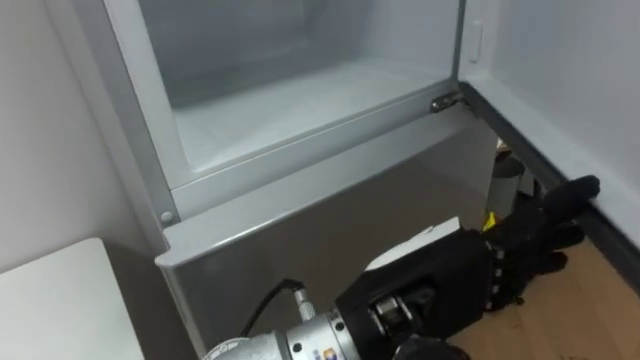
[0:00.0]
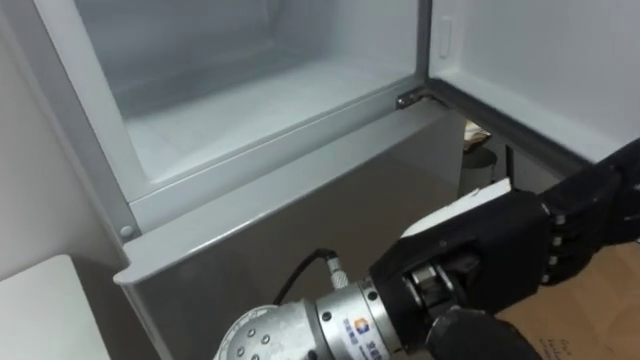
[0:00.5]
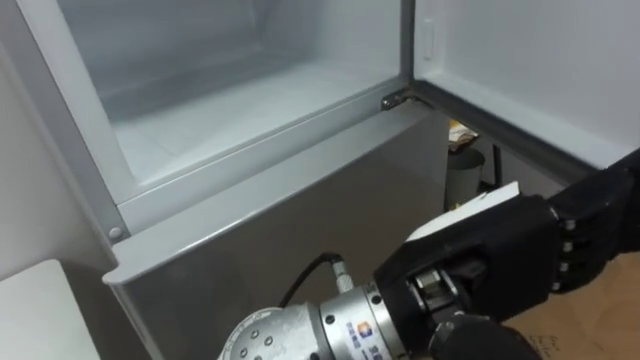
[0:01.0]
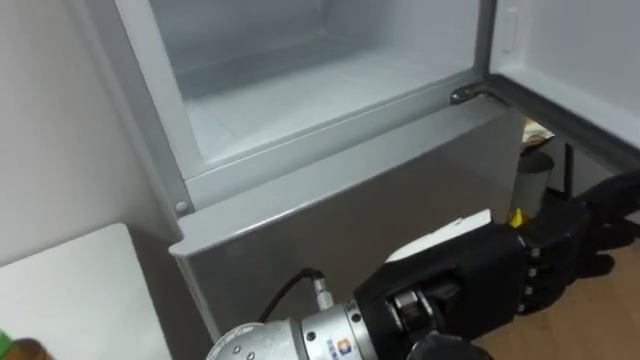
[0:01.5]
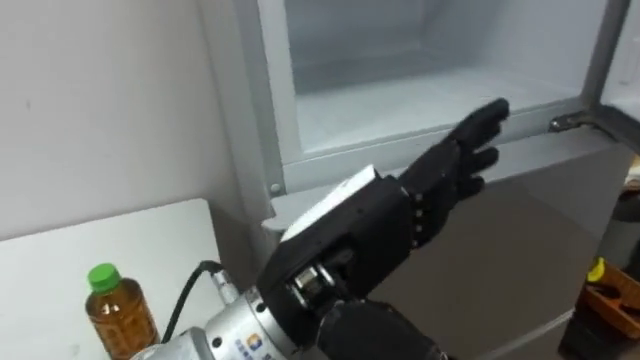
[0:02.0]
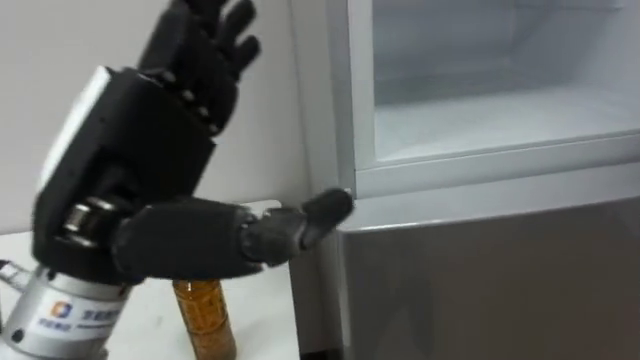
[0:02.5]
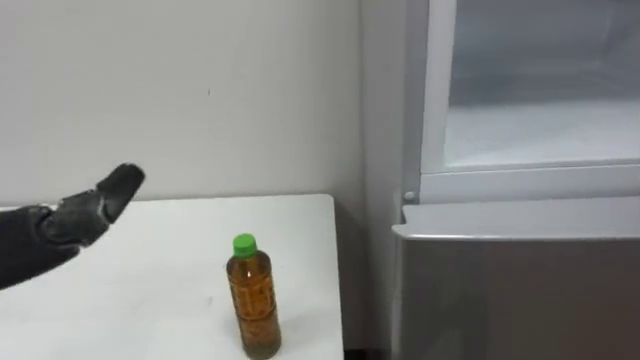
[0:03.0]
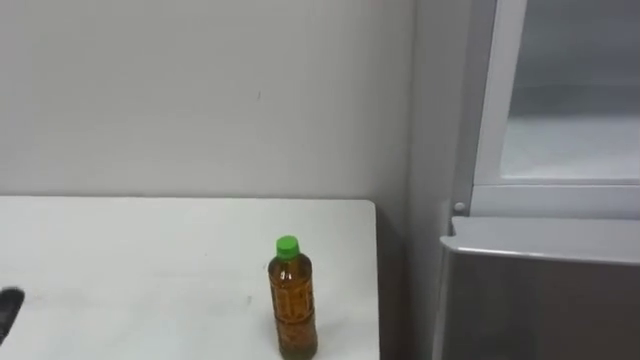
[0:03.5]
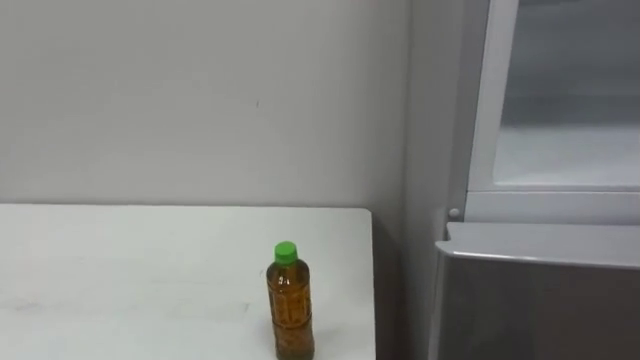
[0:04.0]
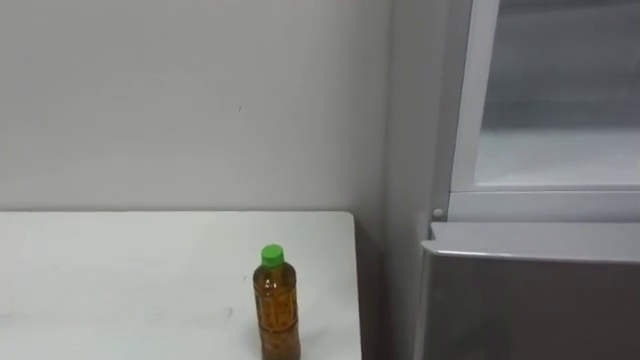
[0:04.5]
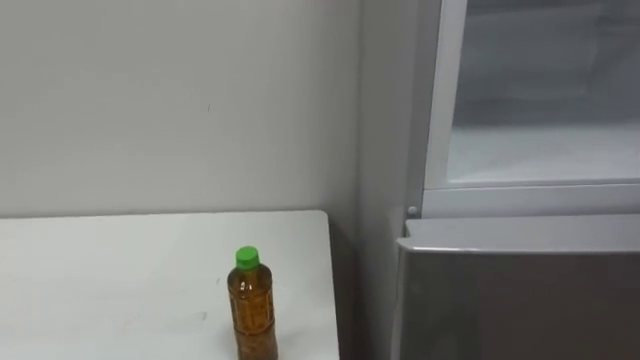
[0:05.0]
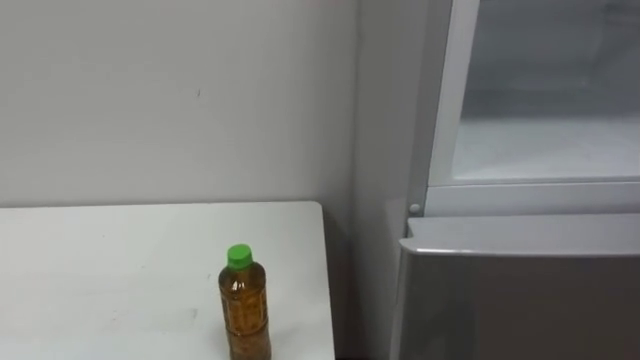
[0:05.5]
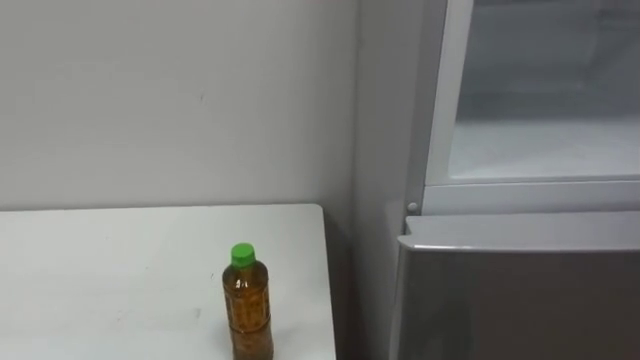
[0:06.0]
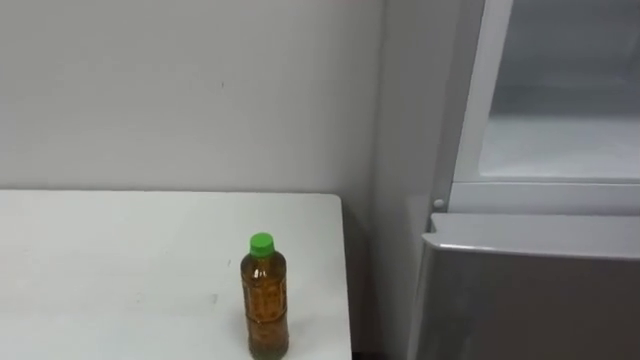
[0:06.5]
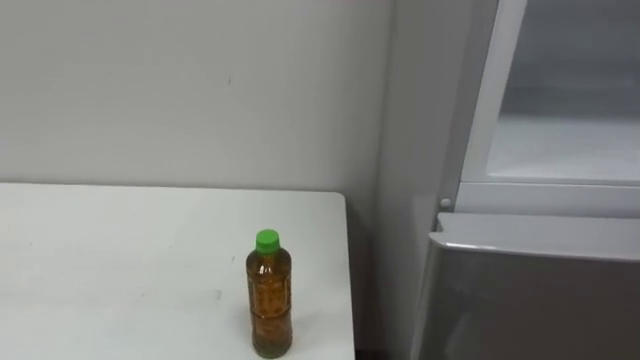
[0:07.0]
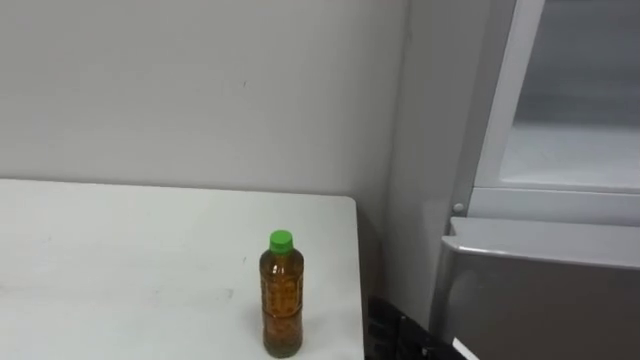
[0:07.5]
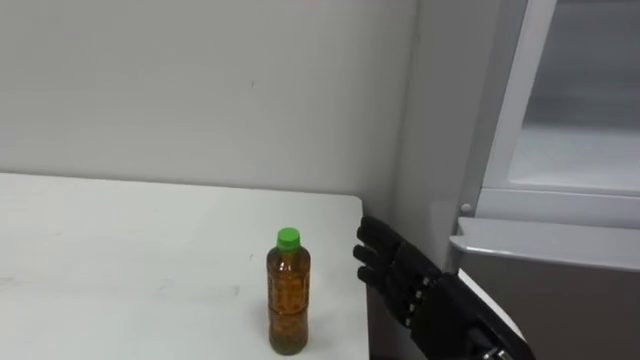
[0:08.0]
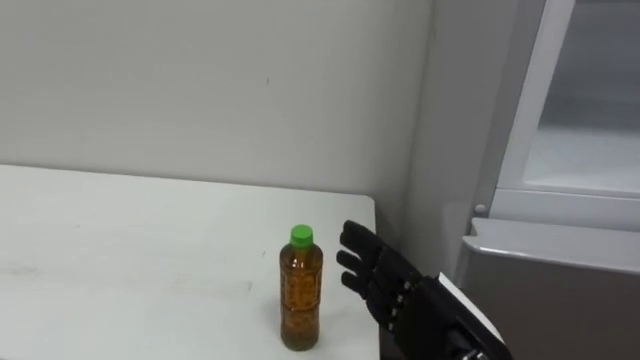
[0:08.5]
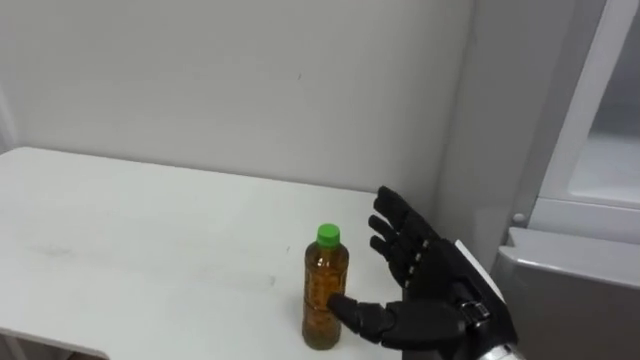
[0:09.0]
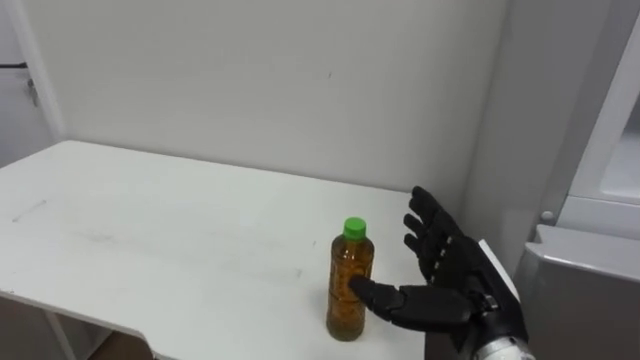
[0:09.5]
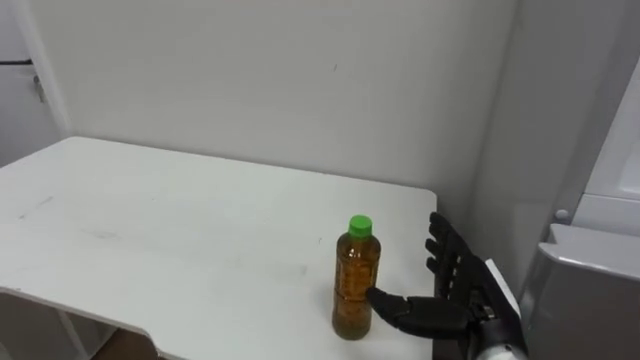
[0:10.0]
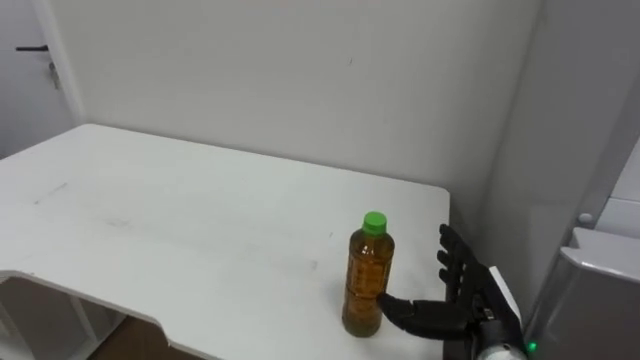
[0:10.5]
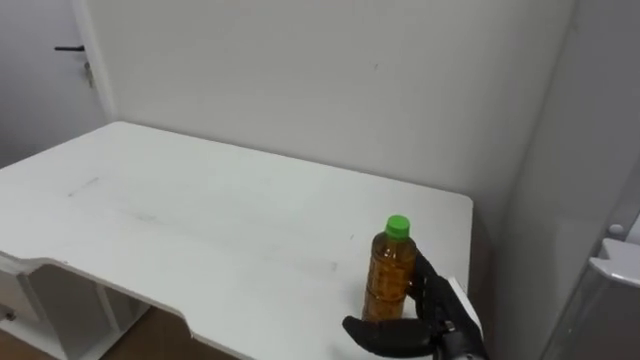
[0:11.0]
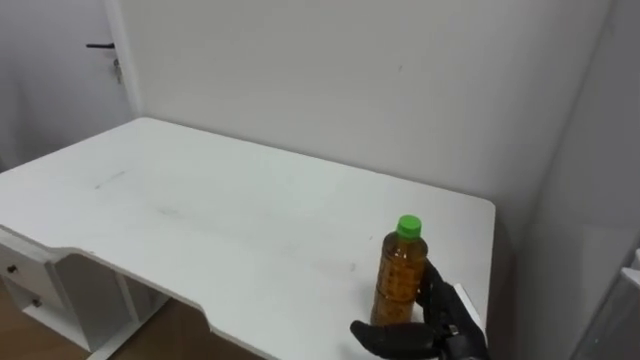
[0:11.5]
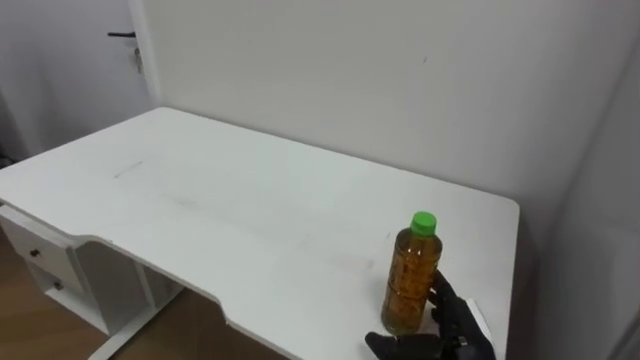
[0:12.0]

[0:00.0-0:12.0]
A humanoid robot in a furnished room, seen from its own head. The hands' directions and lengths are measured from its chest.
Task of the whole recording: Open the upper refrigerator door, put the drink from the table into the refrigerator, and then close the refrigerator door.
0:00.0 to 0:02.0: The left hand travels to the left by some 5 cm.
0:08.0 to 0:10.0: The right hand shifts about 5 cm forward.
0:10.0 to 0:12.0: The right hand travels downward by approximately 10 cm.

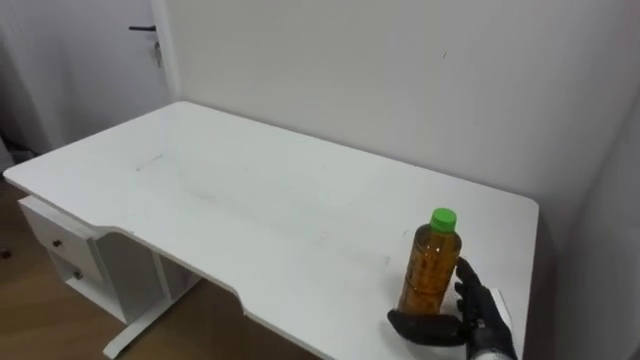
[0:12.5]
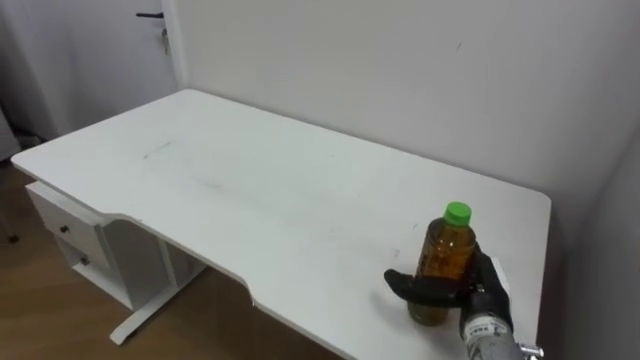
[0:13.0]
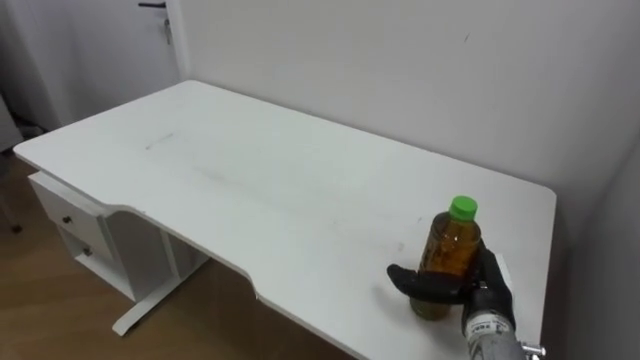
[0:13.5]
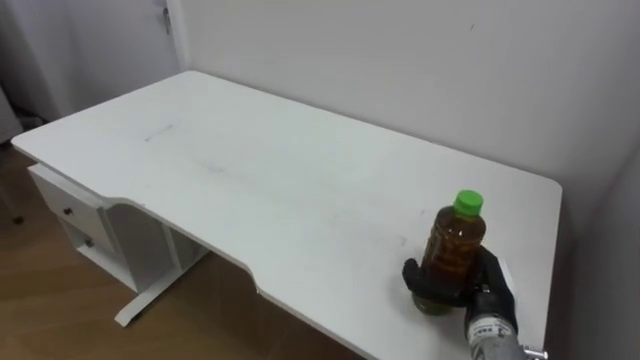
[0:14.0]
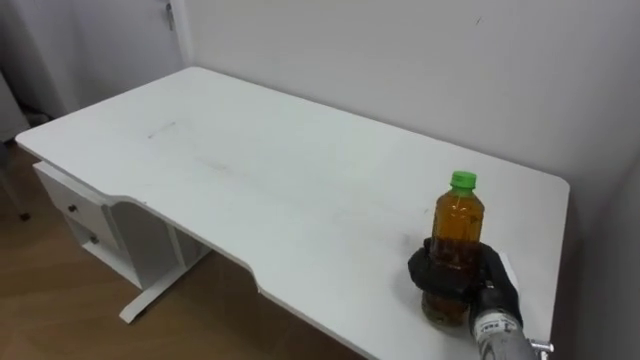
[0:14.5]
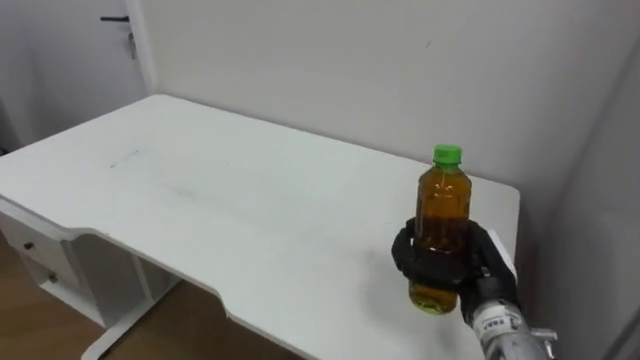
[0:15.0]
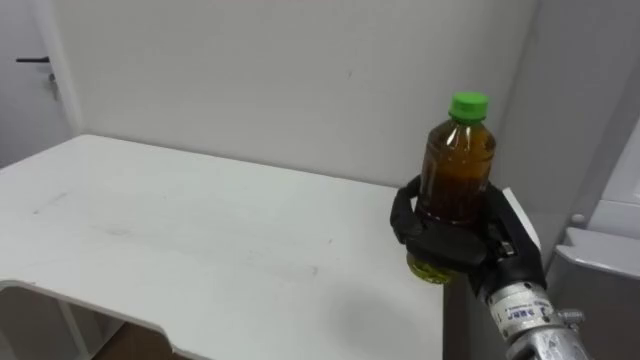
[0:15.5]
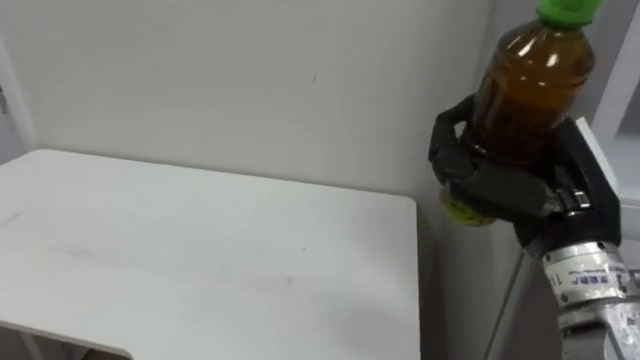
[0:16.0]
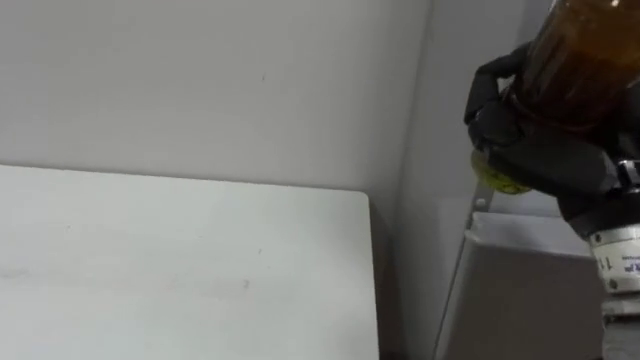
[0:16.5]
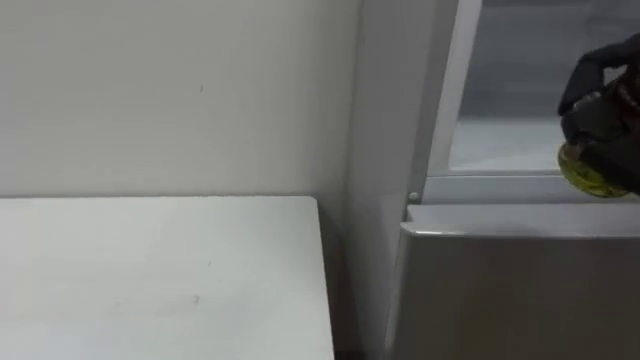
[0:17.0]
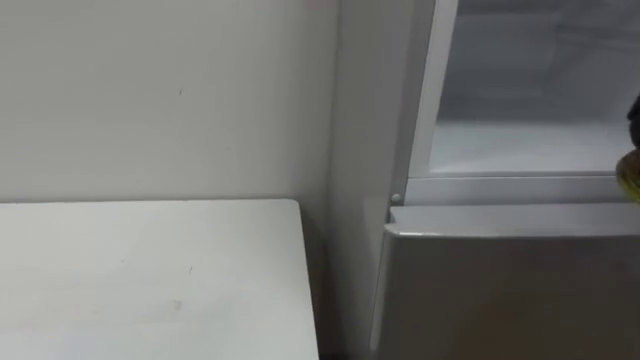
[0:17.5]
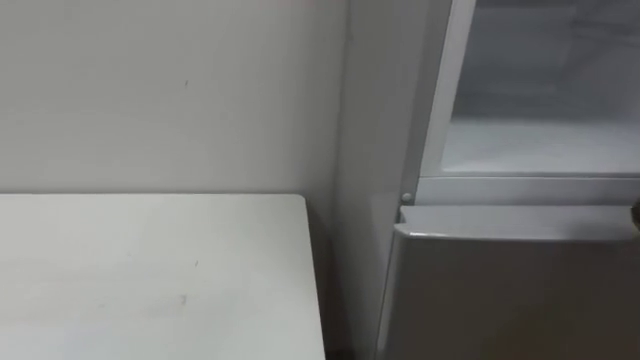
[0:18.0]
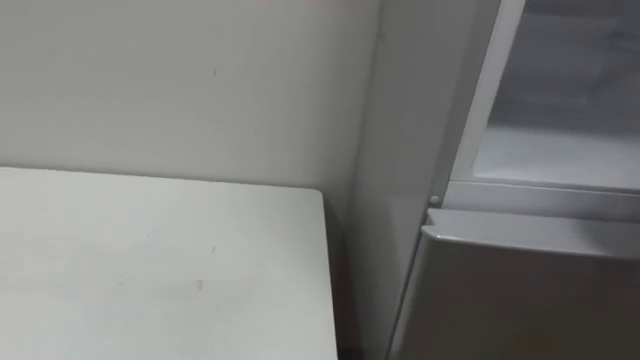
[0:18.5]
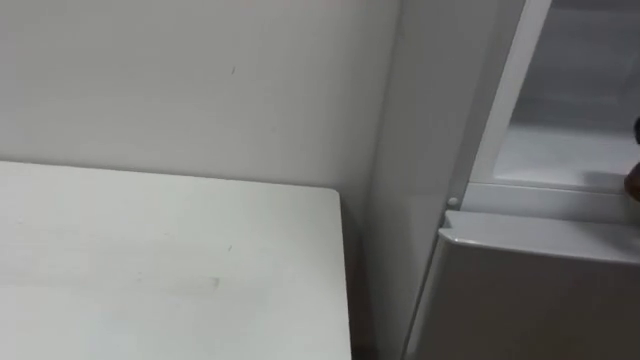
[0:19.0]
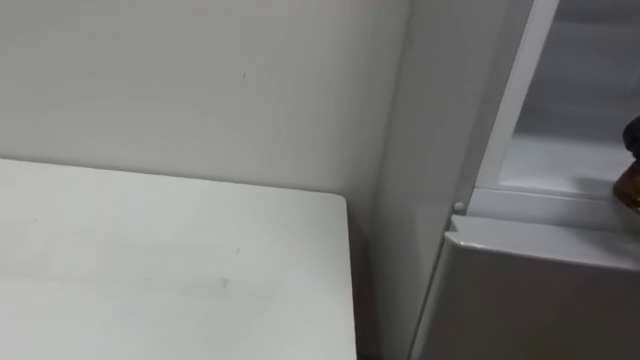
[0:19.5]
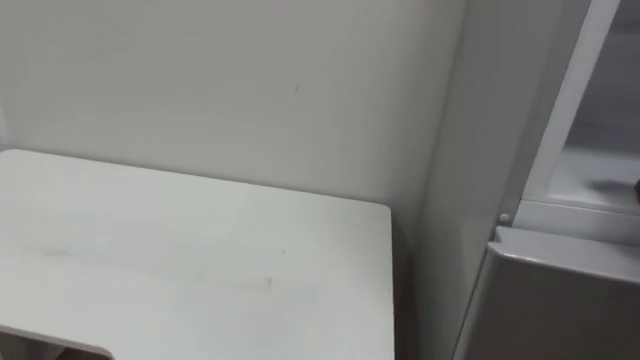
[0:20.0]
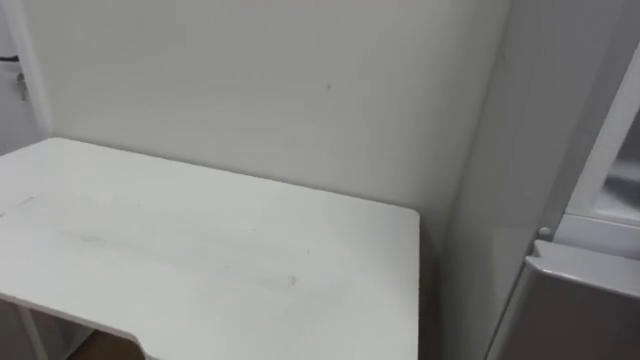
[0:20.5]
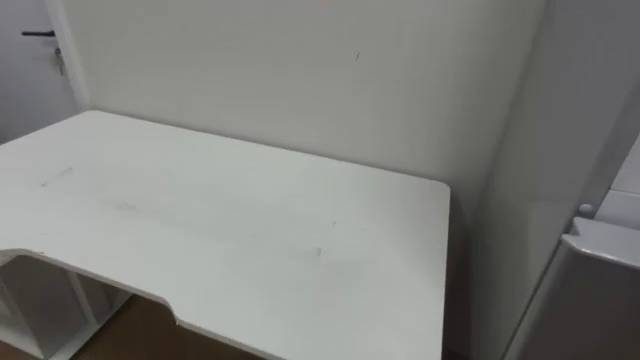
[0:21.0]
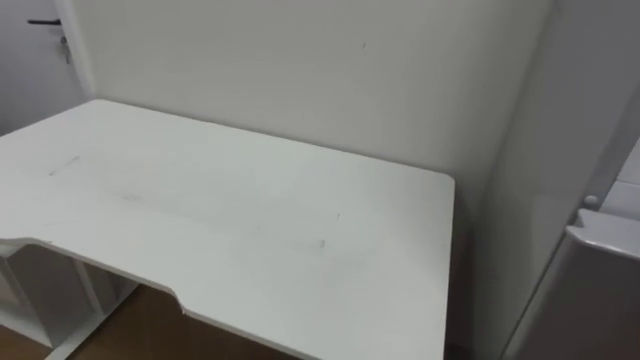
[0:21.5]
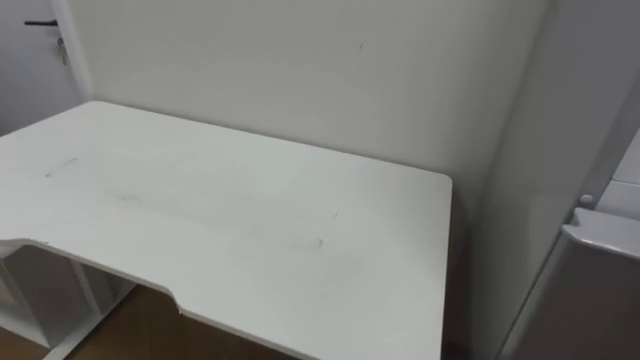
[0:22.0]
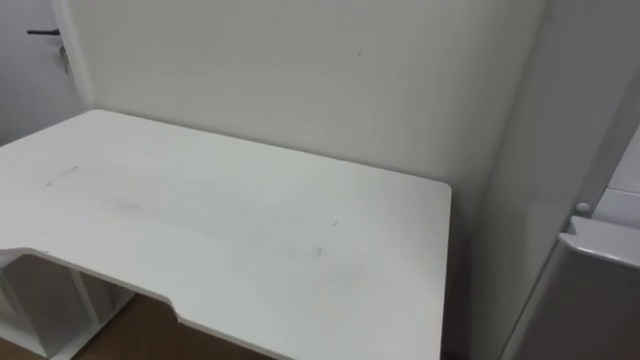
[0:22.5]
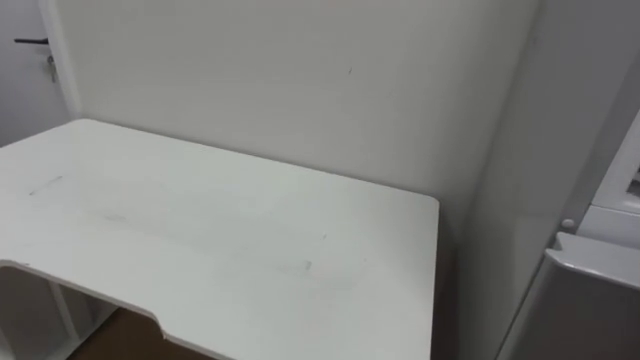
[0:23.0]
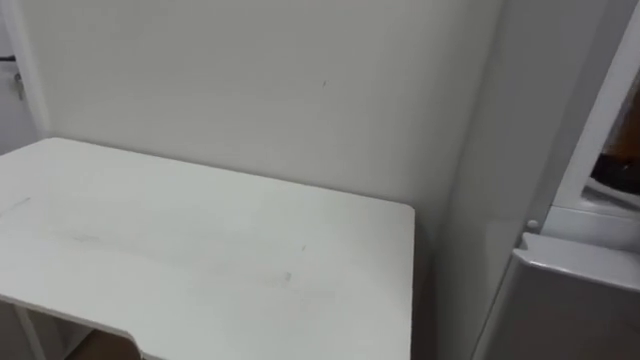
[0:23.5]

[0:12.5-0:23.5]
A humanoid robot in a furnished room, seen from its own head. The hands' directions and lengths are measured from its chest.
Task of the whole recording: Open the upper refrigerator door, put the drink from the table into the refrigerator, and then close the refrigerator door.
0:12.5 to 0:14.5: The right hand closes its fingers.
0:14.5 to 0:16.0: The right hand goes approximately 20 cm upward.
